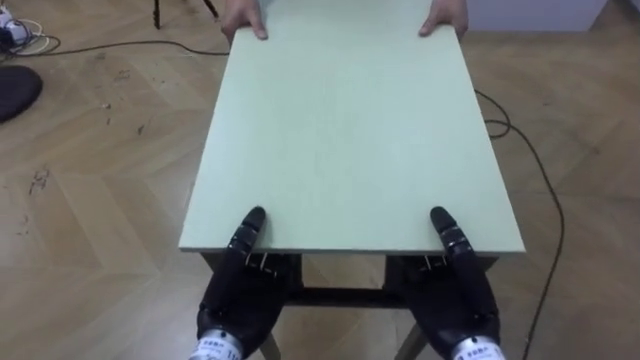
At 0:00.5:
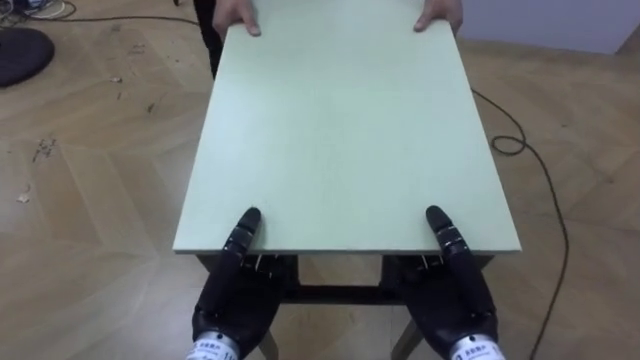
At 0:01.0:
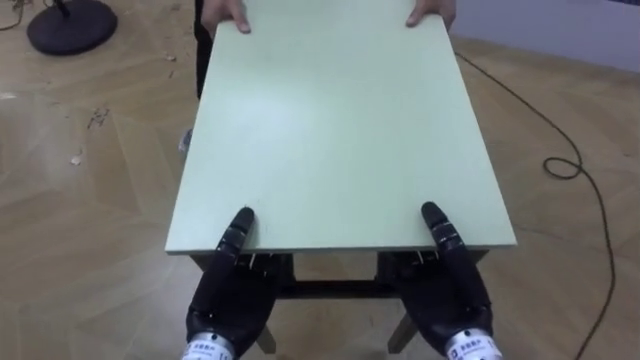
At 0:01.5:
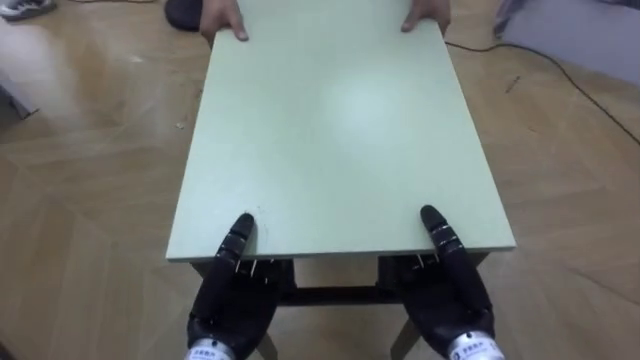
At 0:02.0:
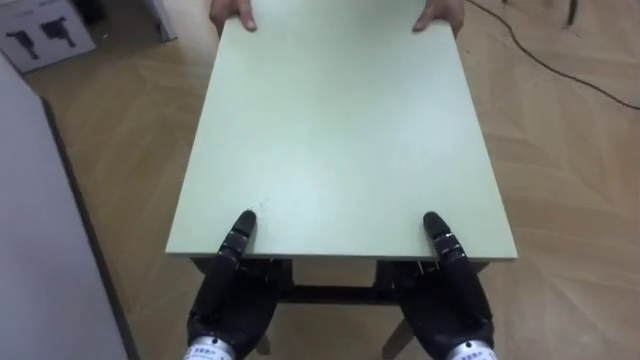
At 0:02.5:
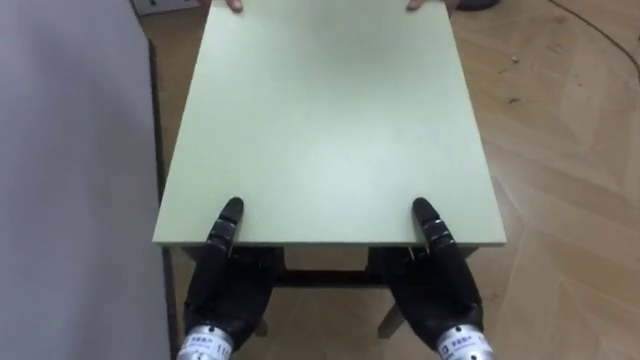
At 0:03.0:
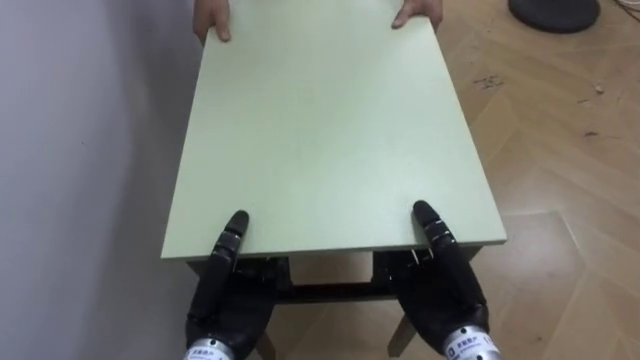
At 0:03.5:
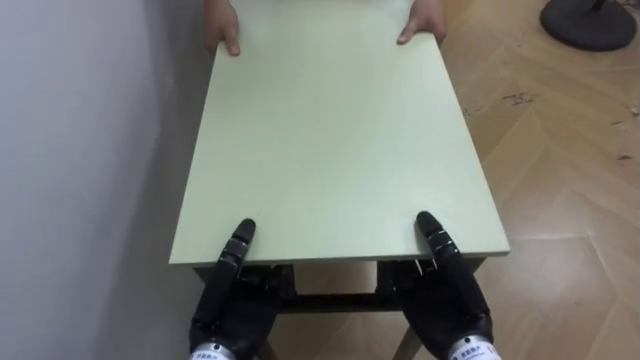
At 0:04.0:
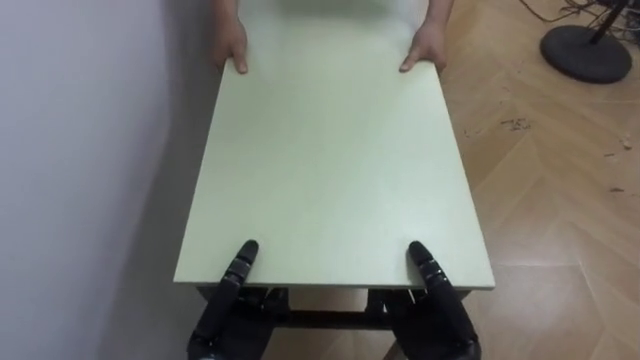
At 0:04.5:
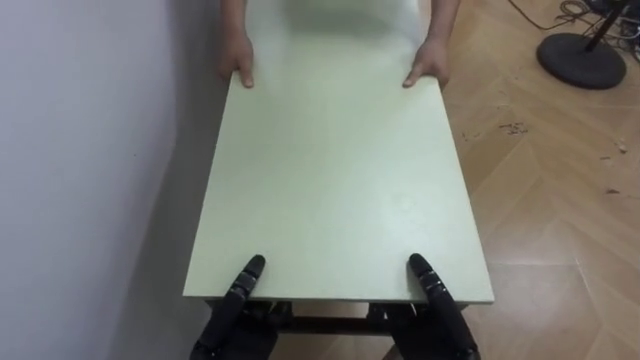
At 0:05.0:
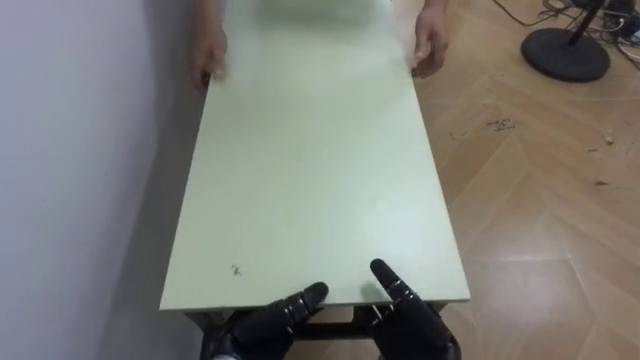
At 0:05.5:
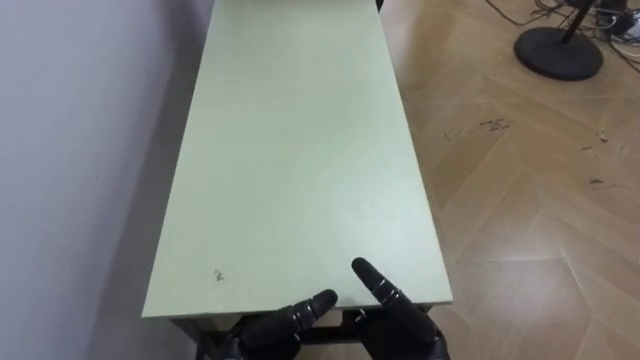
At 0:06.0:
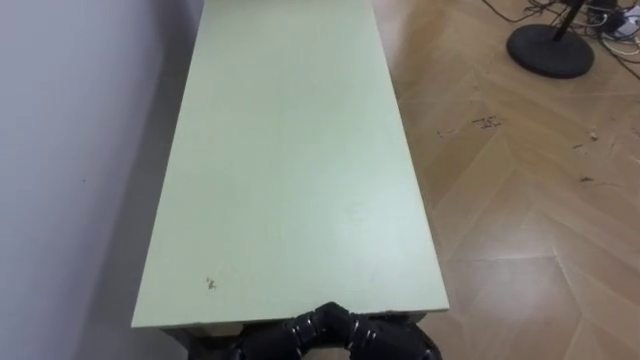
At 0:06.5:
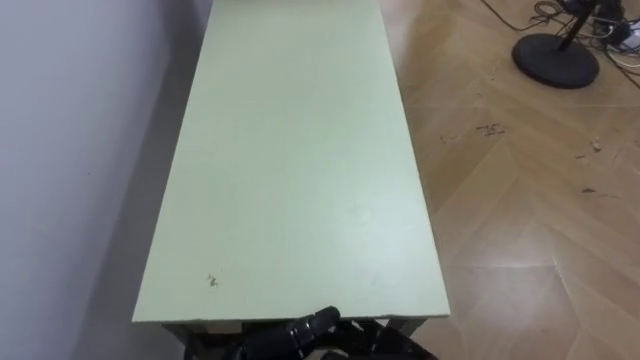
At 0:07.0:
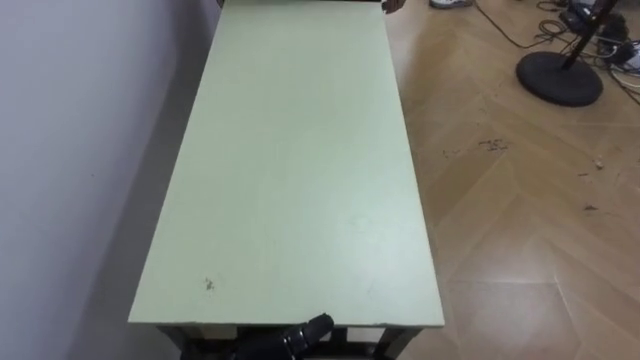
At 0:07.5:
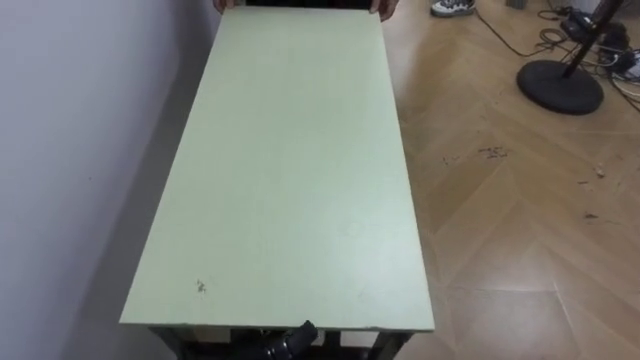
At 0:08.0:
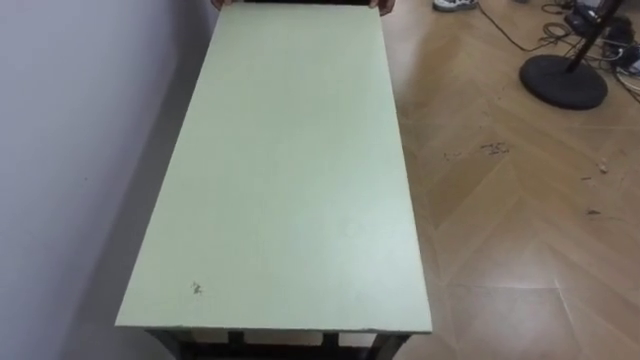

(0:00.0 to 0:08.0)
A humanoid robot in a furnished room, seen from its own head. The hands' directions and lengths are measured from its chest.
Task of the whole recording: Move the table to the back left with someone.
0:00.0 - 0:02.0: The robot's body swings some 50 degrees to its left.
0:02.0 - 0:04.0: The robot faces roughly 35 degrees further to its left. The left hand ends up some 5 cm from where it was, while the right hand is displaced downward by about 5 cm.
0:04.0 - 0:06.0: The left hand ends up roughly 5 cm from where it was, and opens its fingers, while the right hand shifts about 5 cm to the left, and opens.

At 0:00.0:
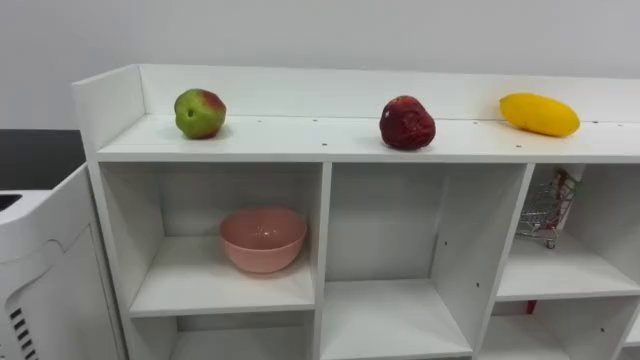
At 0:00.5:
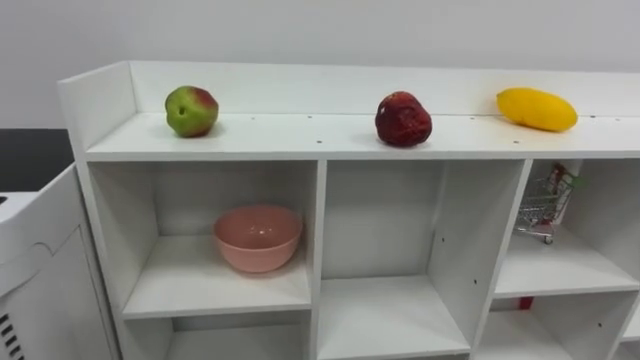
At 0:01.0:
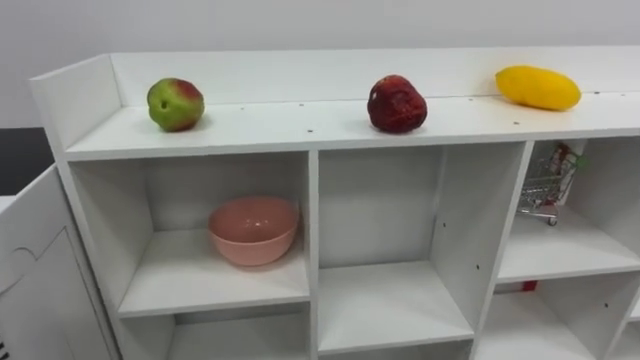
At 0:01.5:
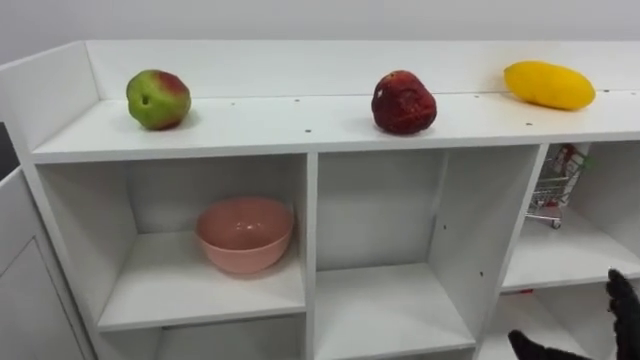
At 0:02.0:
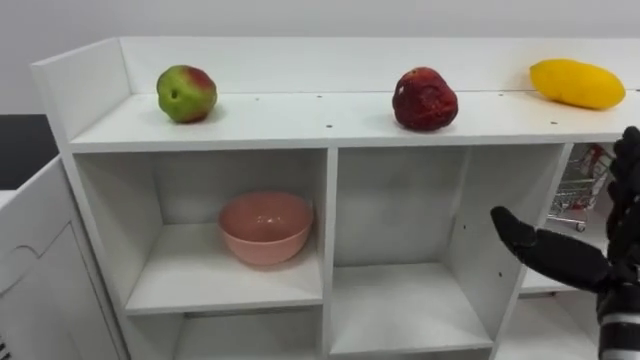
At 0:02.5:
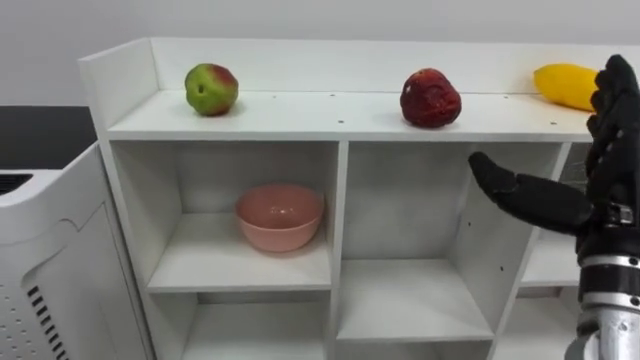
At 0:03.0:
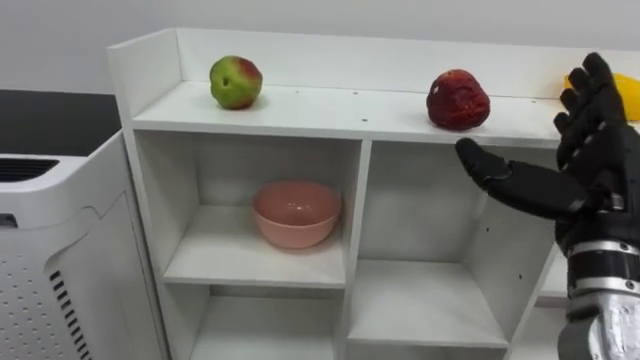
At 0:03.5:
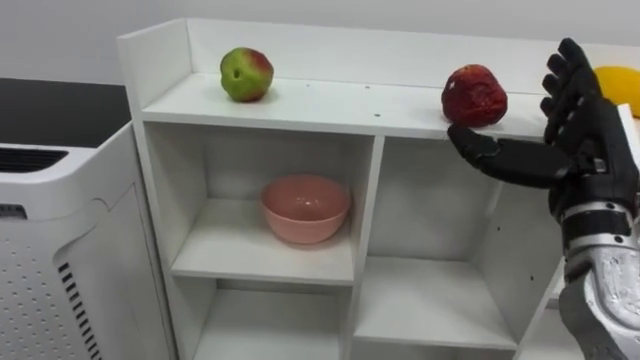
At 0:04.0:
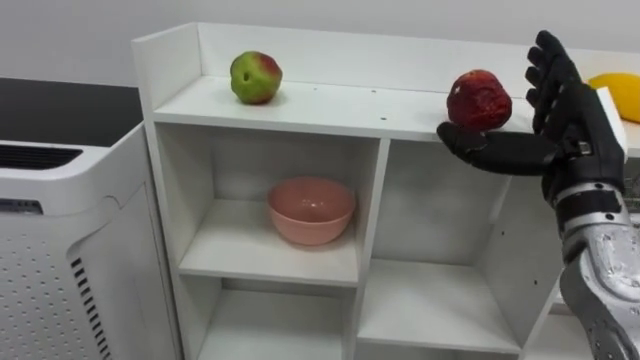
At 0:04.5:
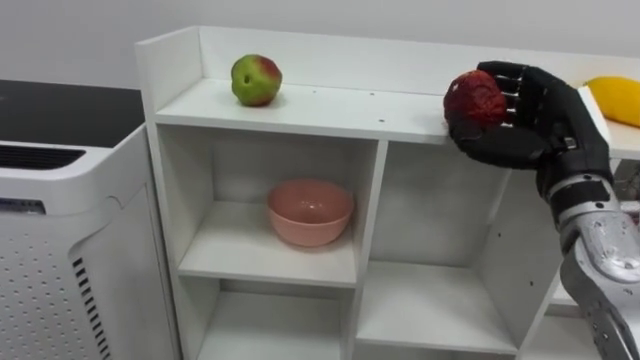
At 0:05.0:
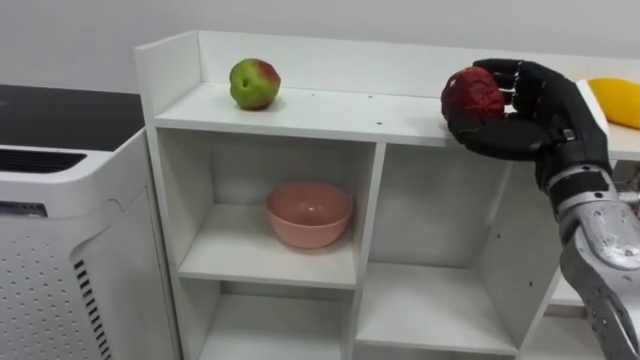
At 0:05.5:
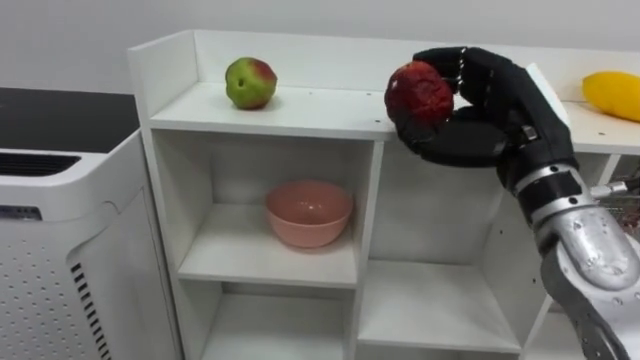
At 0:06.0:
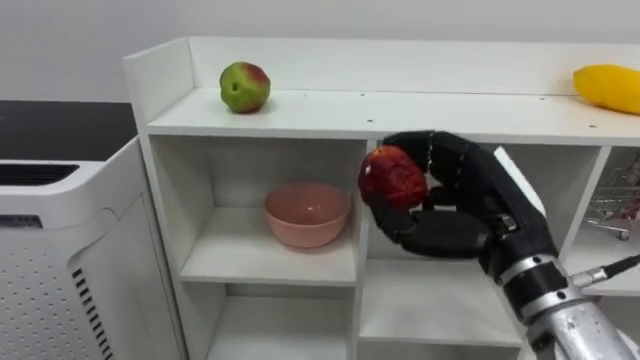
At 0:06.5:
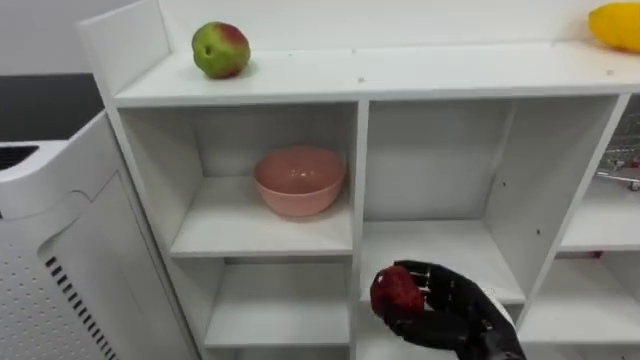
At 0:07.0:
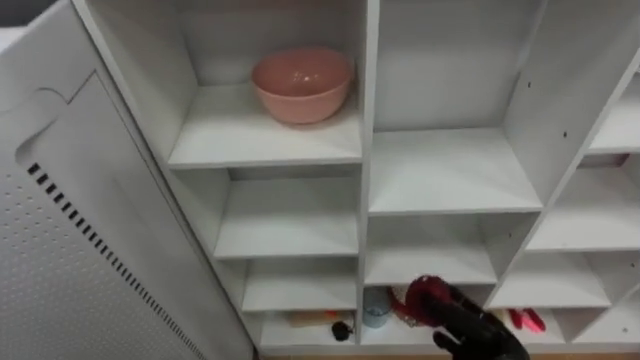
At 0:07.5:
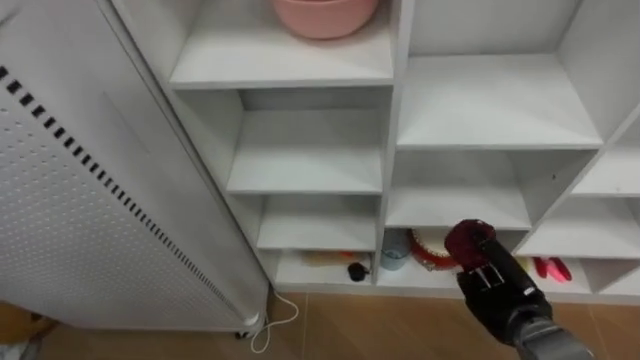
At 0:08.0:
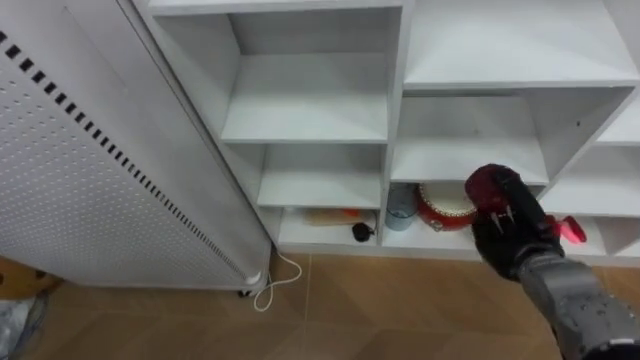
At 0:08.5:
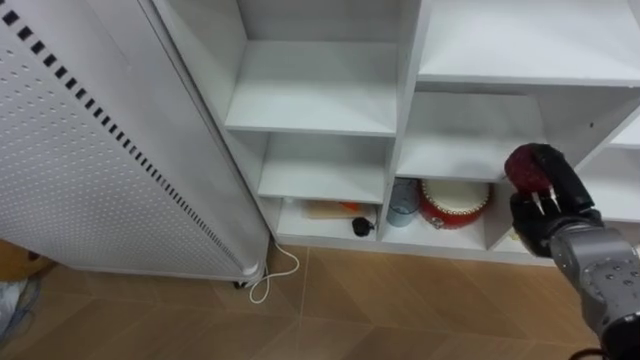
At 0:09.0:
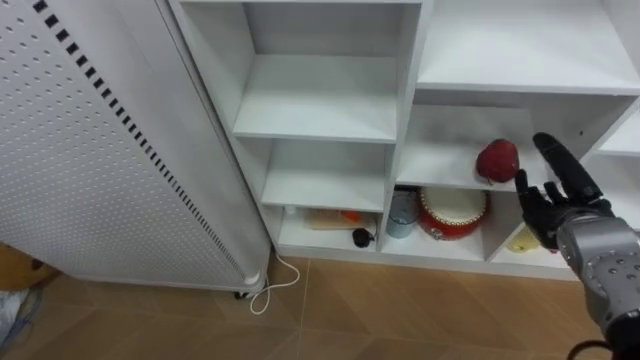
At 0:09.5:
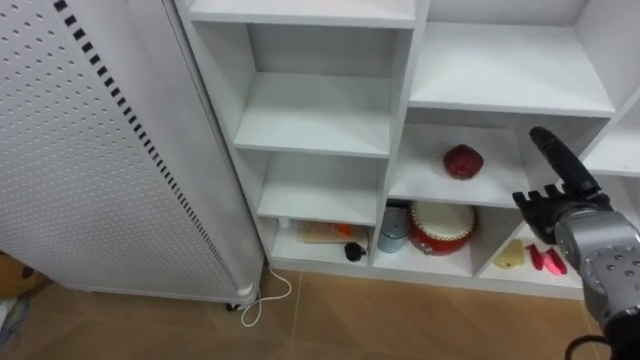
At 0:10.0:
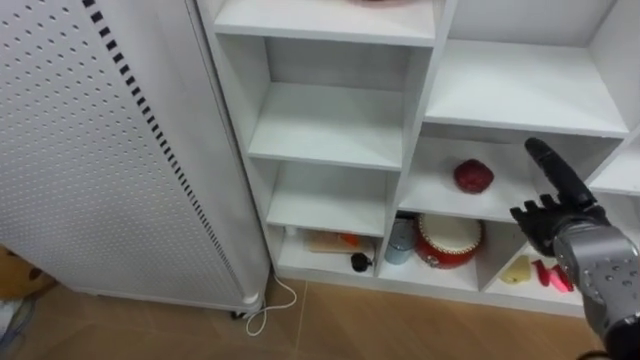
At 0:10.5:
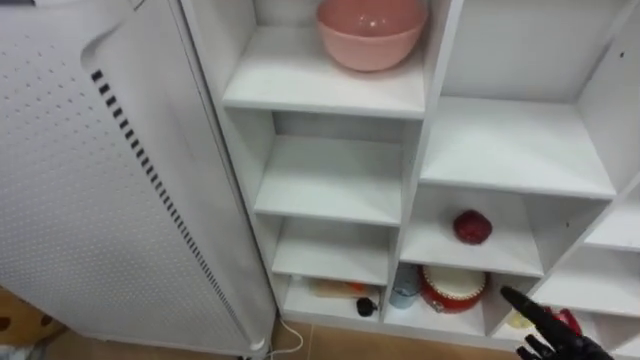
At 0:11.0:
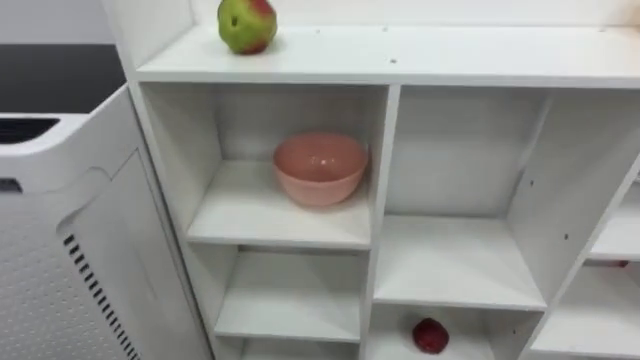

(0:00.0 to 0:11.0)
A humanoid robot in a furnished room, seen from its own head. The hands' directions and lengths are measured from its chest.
Task of the whole recording: Put the apple in the cell in the second column from the left and the second row from the top.
0:02.0 - 0:03.5: The right hand goes about 10 cm upward and forward.
0:03.5 - 0:05.5: The right hand is displaced to the left by about 5 cm, and closes up.
0:07.5 - 0:09.0: The right hand shifts about 15 cm upward and to the right.

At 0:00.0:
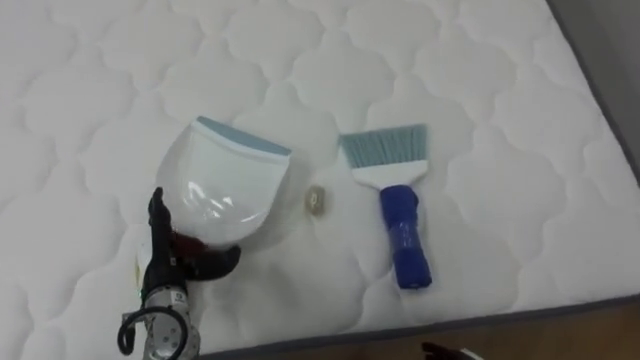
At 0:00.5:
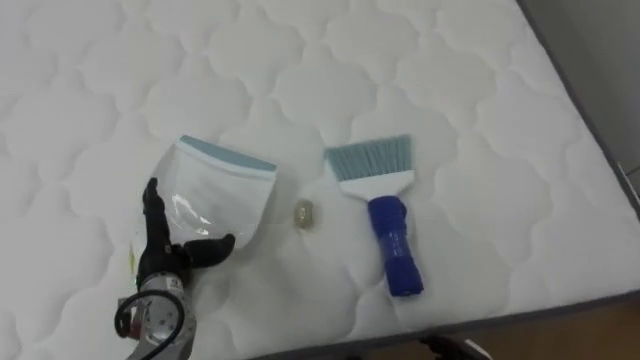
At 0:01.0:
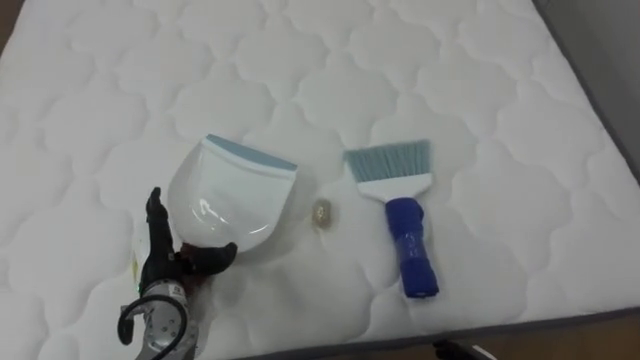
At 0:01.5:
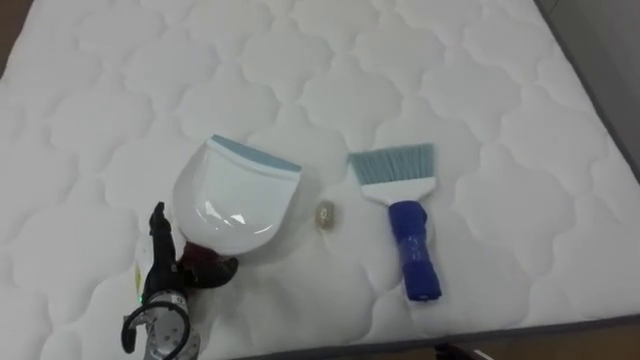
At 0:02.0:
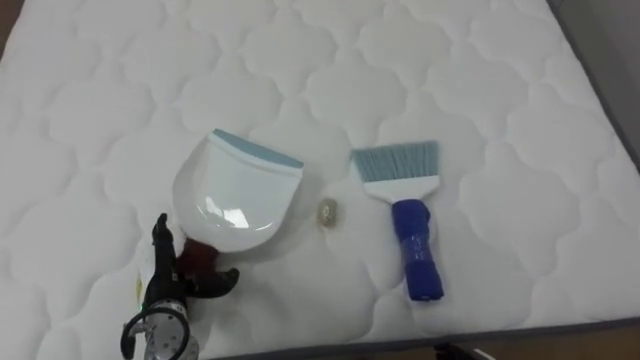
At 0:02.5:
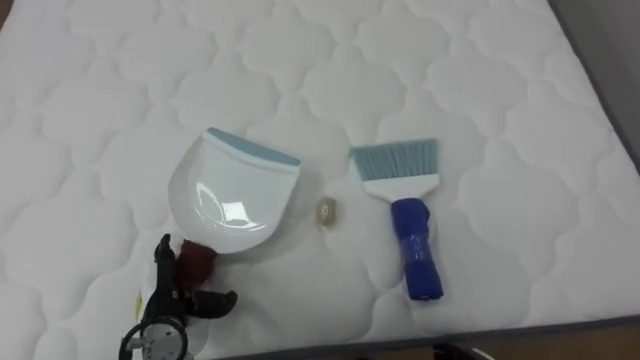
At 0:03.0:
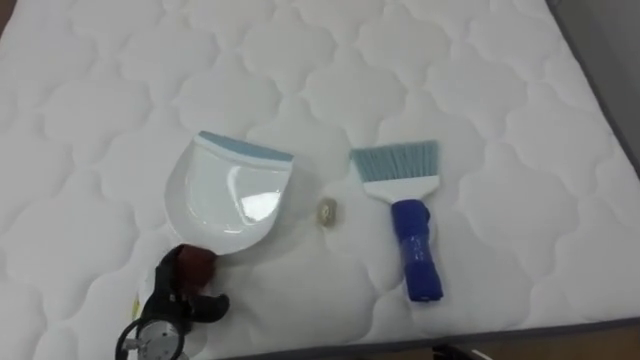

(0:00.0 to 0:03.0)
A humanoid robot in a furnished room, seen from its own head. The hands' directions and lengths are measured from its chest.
Task of the whole recording: Pick up the brush on your right and the dustpan on your left. Use the brush to sweep the crumpled paper on the bed into the dustpan, then turn left and empty it into the basket.
0:01.5 - 0:03.0: The left hand shifts by some 5 cm.
